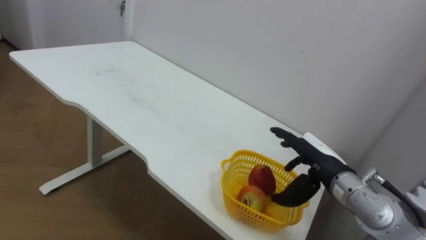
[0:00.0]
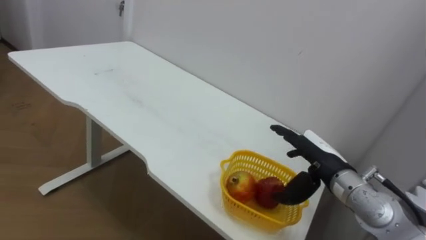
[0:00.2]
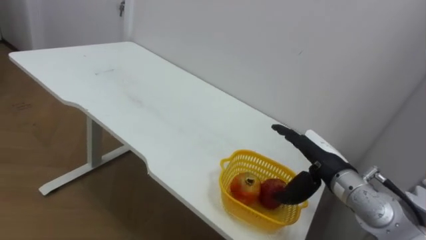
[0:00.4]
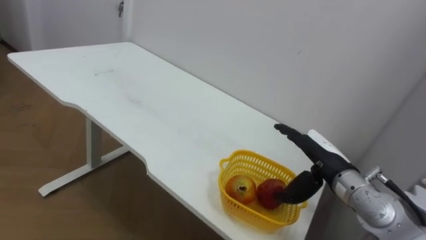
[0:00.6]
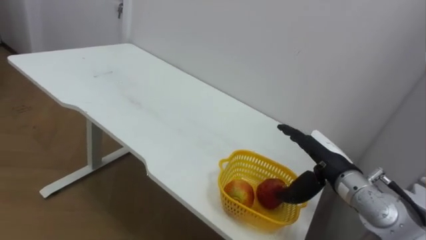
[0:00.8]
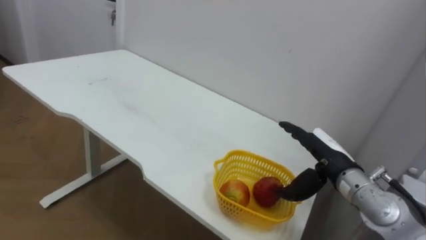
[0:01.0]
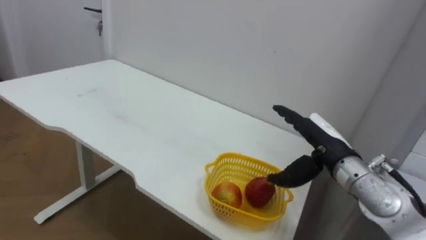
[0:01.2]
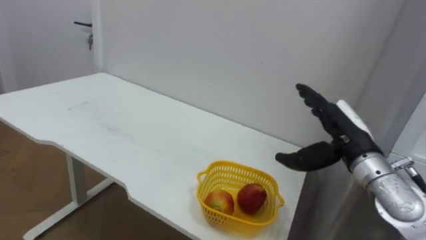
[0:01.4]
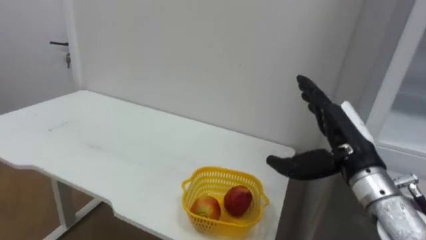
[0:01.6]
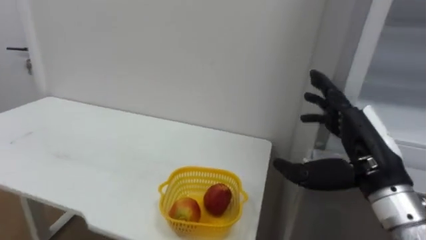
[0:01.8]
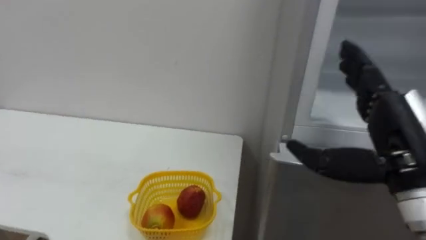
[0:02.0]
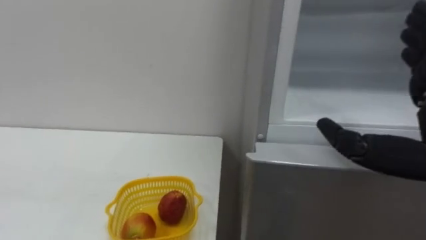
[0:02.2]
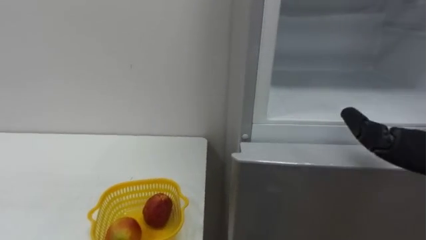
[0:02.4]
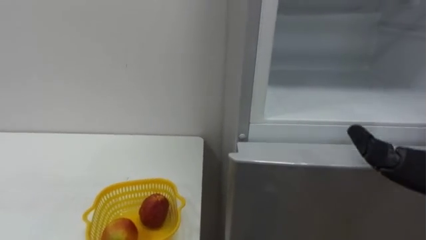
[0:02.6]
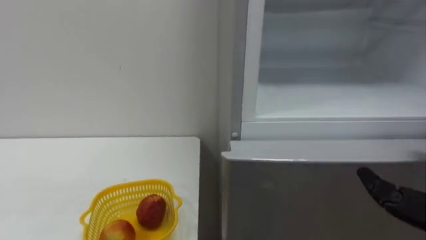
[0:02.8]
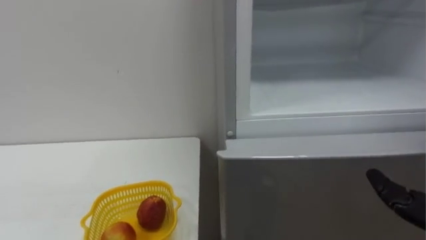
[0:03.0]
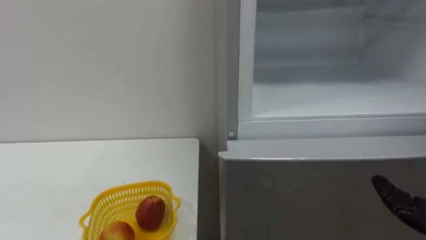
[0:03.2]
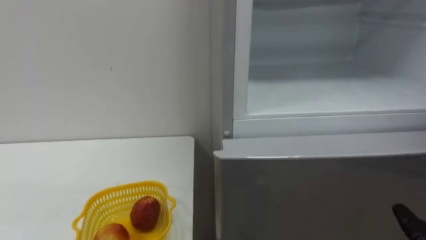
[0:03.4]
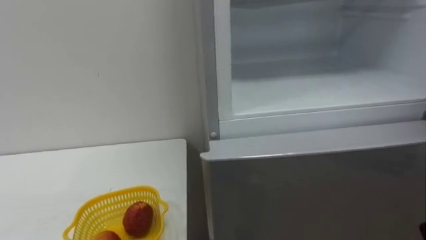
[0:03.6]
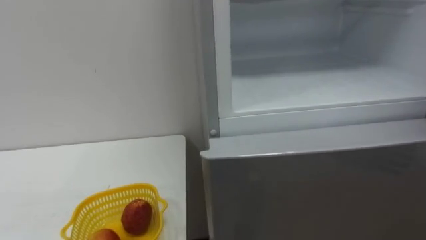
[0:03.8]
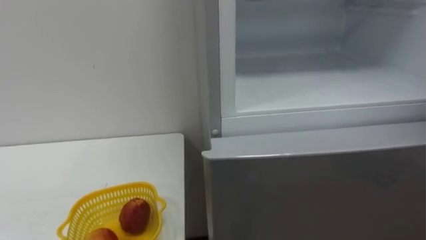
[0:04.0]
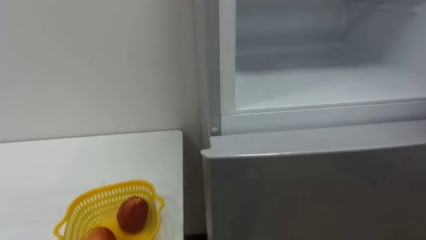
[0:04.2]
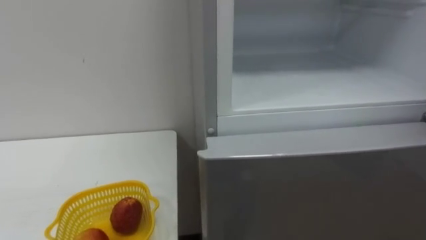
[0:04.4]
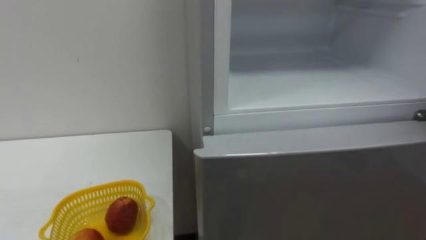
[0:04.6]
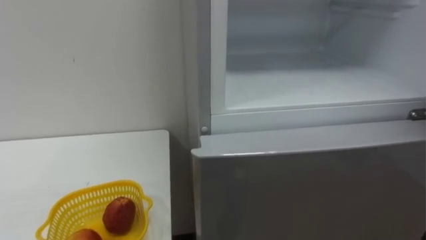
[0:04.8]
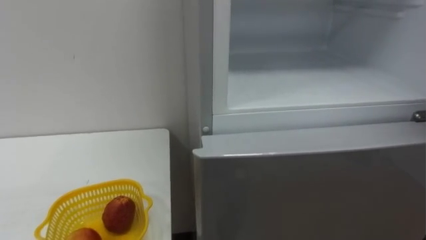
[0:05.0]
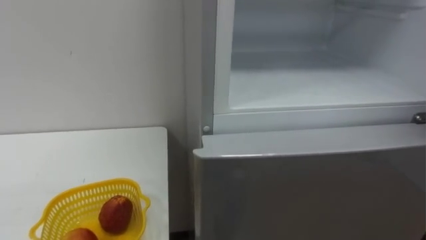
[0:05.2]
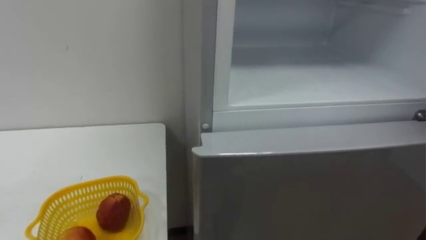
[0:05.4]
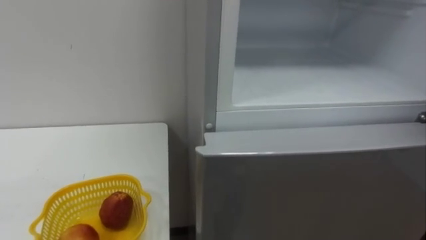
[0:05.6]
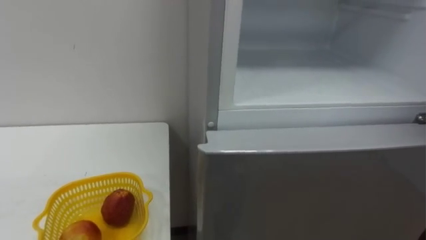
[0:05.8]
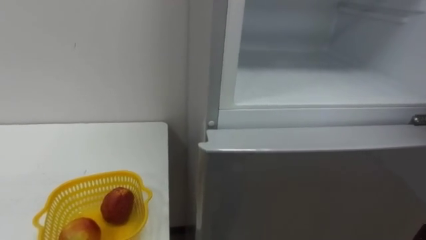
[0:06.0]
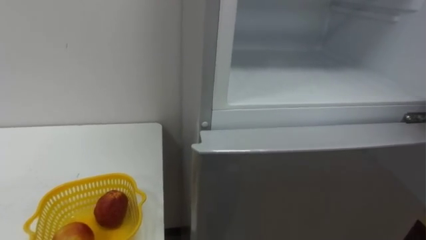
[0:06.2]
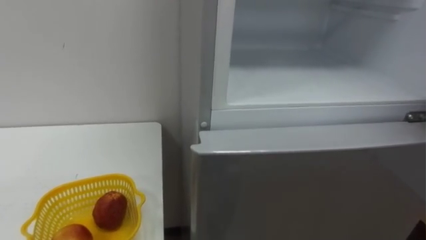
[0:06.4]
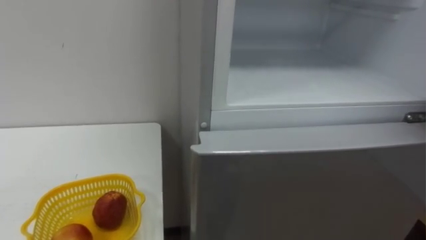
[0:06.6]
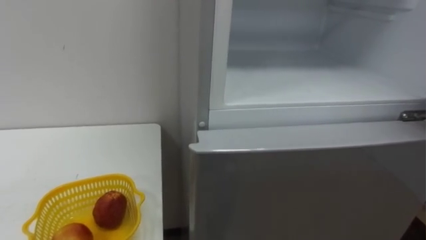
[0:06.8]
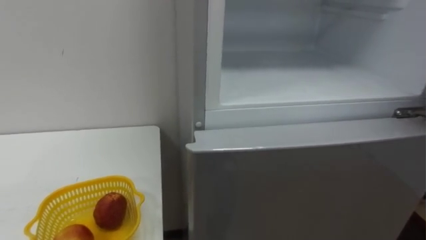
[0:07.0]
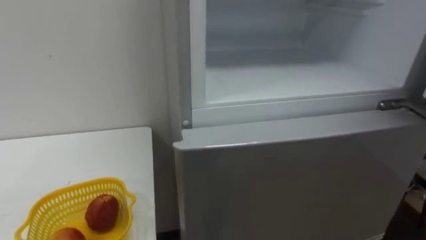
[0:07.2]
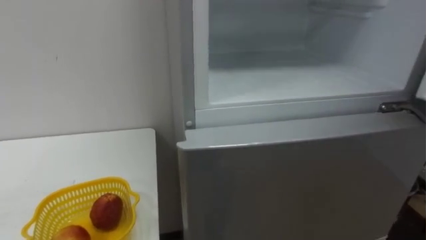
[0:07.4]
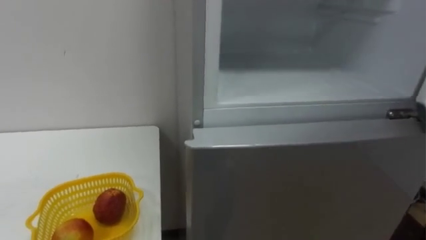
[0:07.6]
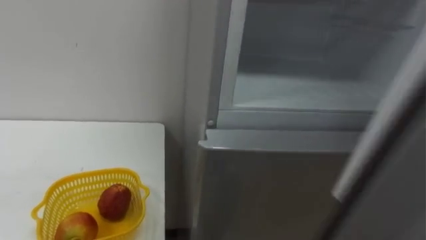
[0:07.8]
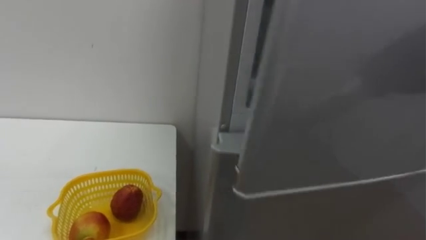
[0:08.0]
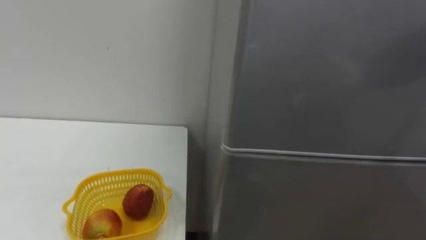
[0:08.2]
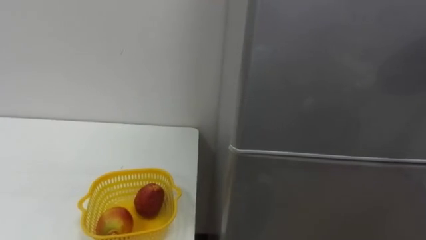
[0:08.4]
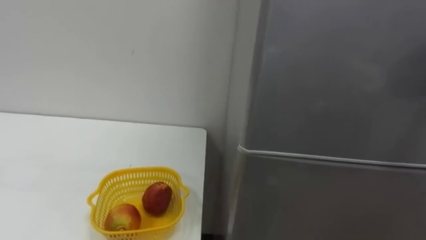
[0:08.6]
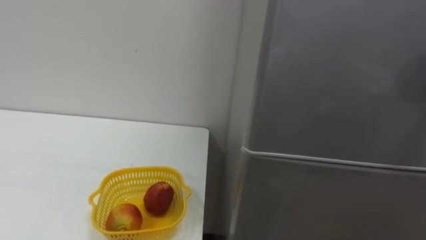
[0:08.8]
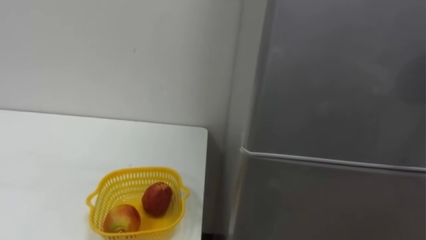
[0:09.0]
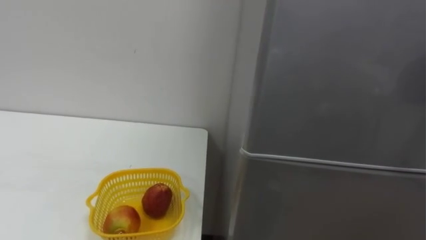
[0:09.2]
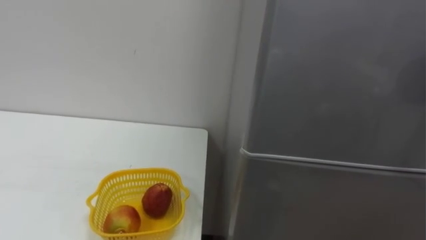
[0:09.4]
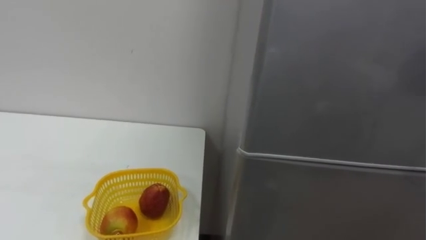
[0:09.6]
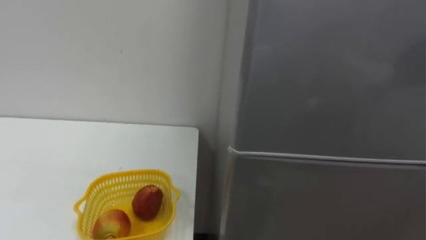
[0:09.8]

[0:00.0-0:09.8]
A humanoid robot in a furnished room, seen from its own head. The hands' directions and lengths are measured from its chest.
Task of the whole recording: Open the refrigerator door, take out the apple and the pomegranate, place them in the fruit basket on the left, and close the refrigerator door.
0:00.0 to 0:01.4: The right hand is displaced upward by some 5 cm.

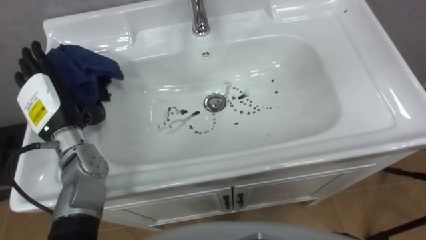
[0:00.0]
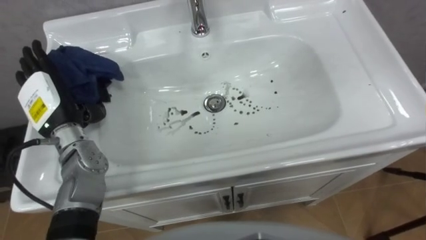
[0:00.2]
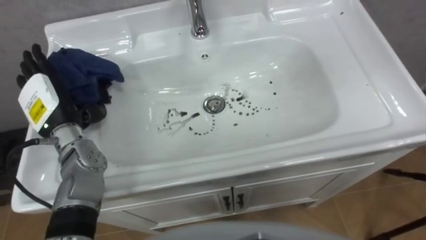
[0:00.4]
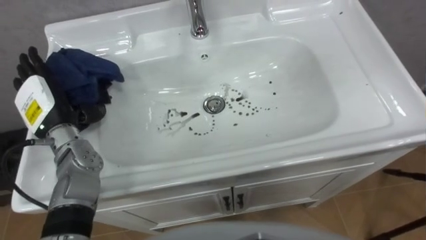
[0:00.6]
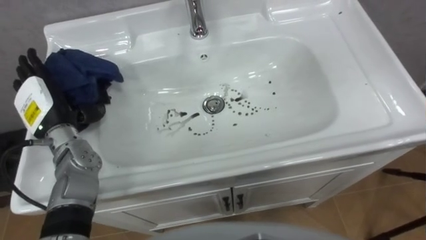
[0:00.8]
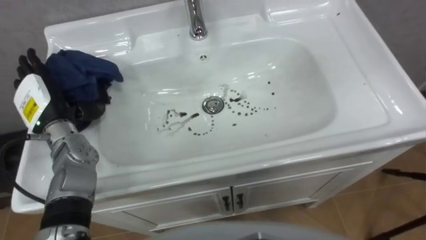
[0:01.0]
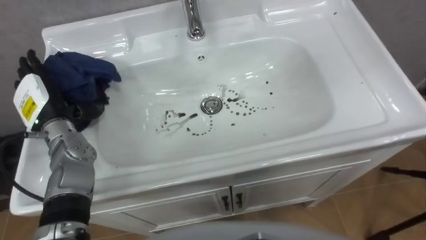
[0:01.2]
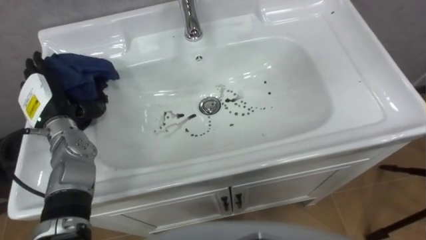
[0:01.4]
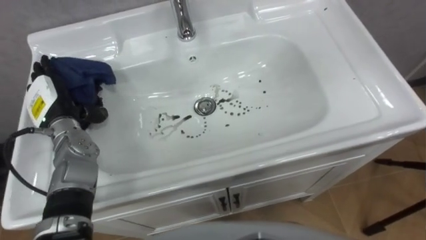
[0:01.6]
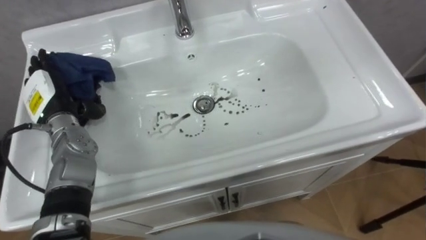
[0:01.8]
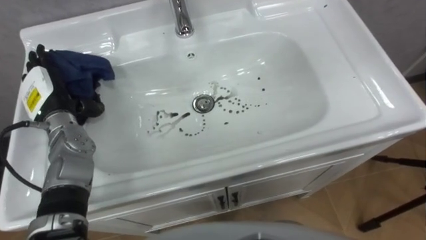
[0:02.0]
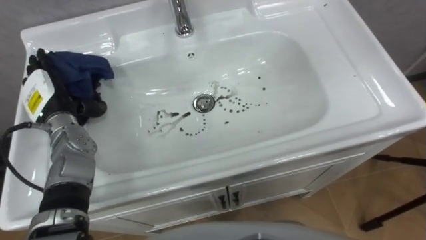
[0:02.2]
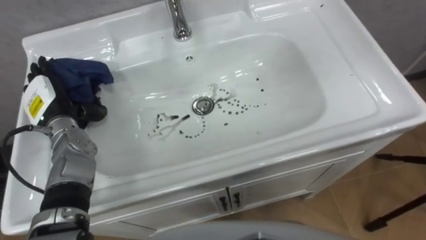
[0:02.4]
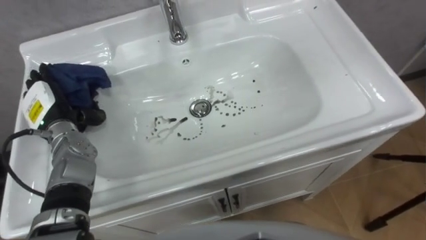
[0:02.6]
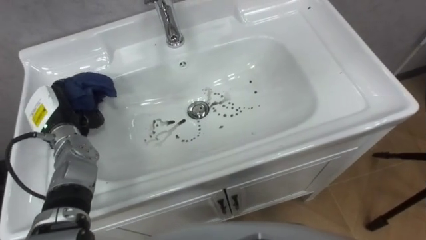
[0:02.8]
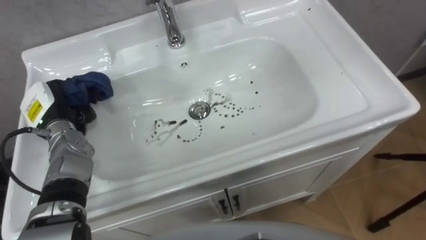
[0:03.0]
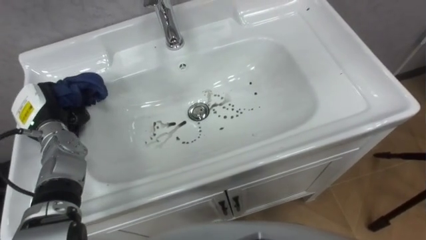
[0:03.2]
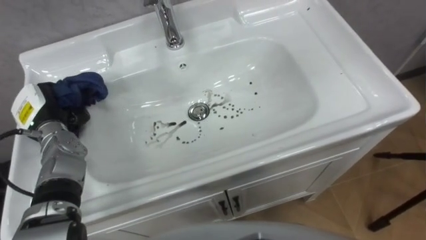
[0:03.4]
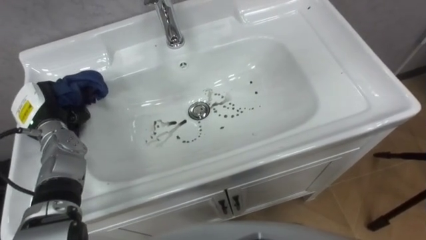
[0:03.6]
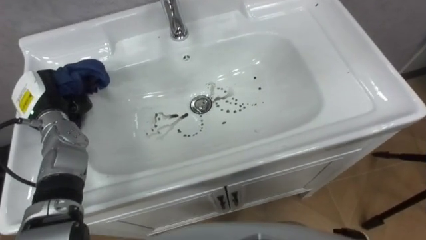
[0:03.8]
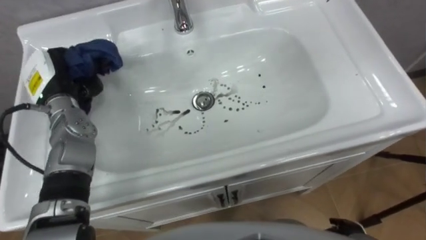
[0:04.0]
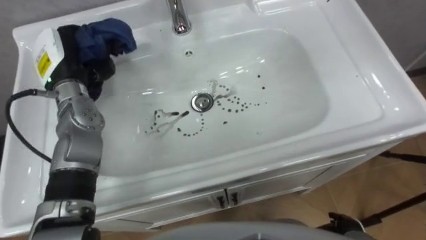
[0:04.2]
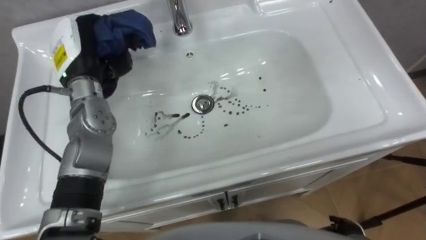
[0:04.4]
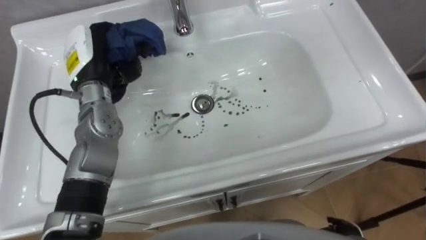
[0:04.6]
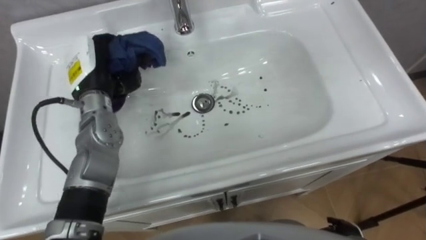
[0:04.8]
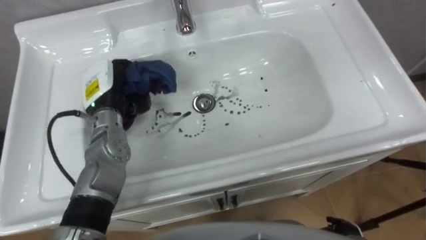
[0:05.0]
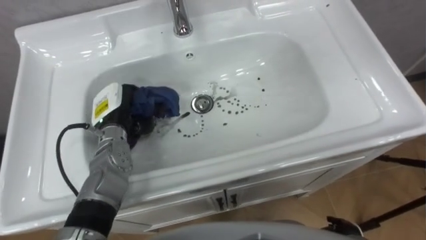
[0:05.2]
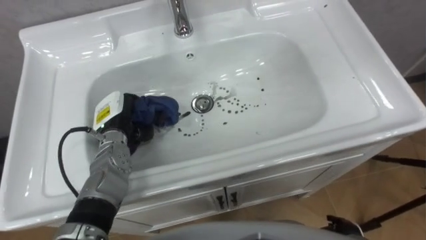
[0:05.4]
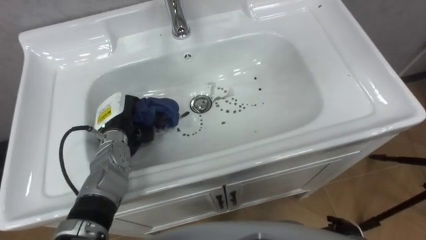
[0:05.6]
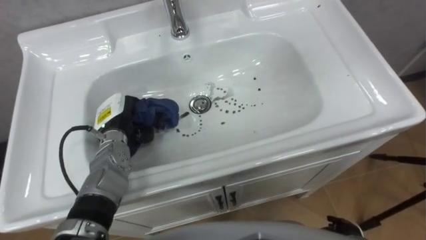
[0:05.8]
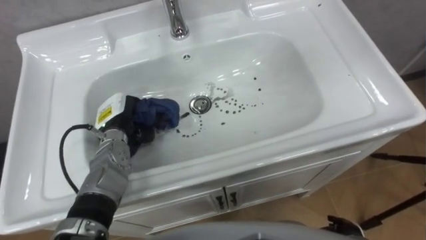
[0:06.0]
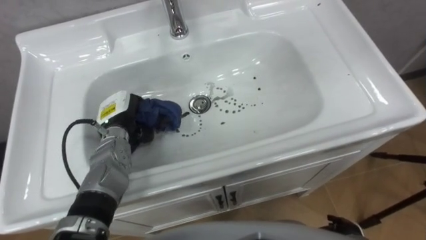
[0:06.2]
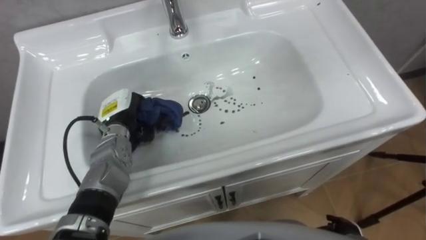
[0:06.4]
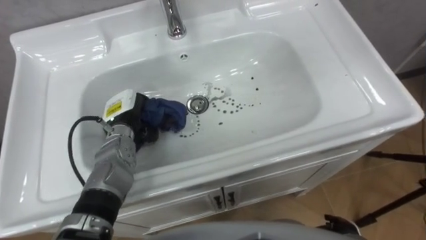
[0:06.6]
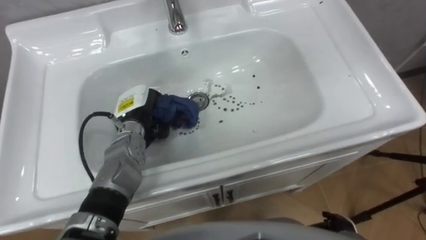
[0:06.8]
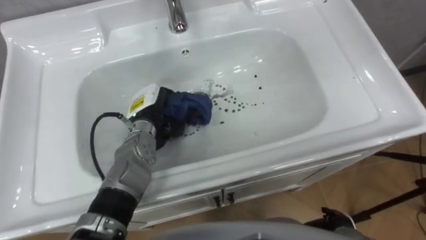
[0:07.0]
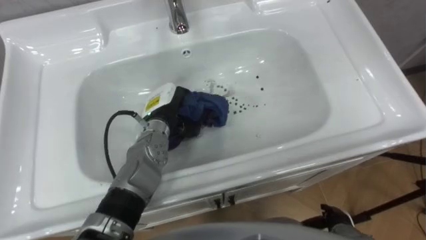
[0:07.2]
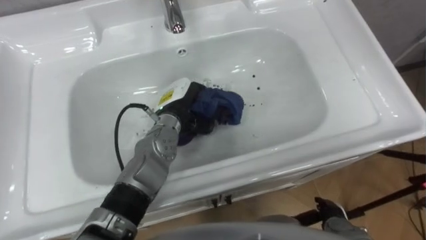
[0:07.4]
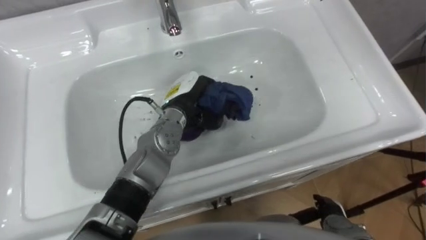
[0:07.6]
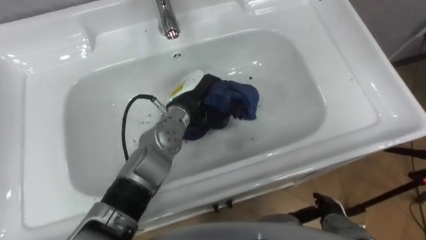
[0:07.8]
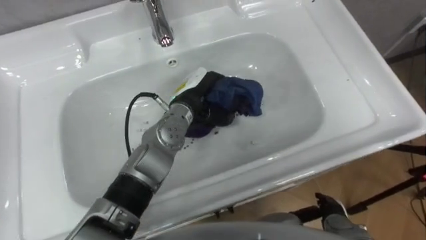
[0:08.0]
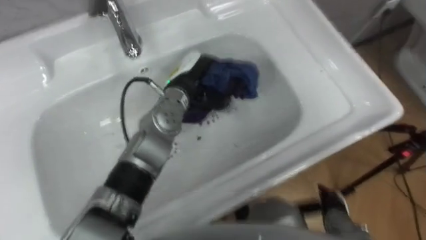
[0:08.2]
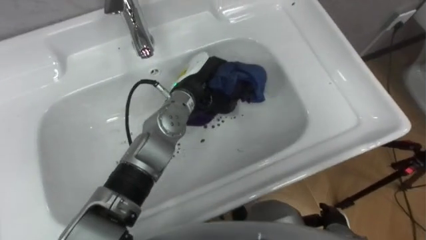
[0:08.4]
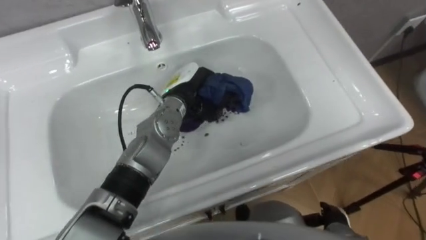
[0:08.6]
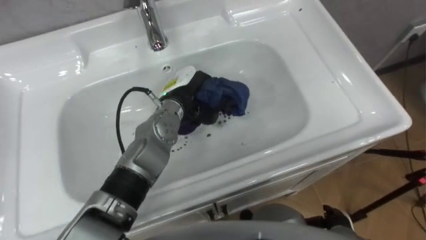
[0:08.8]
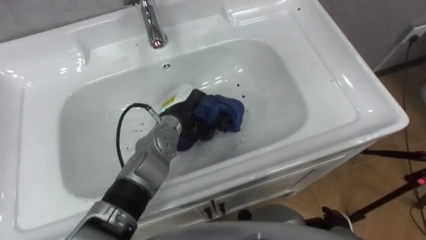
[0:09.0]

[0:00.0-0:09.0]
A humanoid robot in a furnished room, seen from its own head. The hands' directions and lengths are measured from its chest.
Task of the whole recording: Use the cloth on the right to wipe away the black stain in the sink.
0:01.6 to 0:03.0: The left hand closes its fingers.
0:03.0 to 0:04.4: The left hand goes approximately 15 cm upward, to the right and forward.
0:04.4 to 0:06.0: The left hand moves downward, some 15 cm.
0:06.0 to 0:07.6: The left hand shifts about 15 cm to the right.
